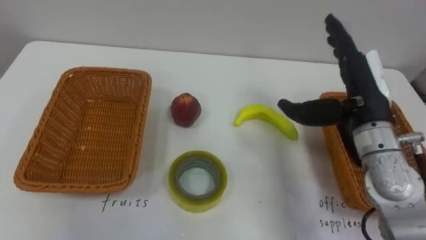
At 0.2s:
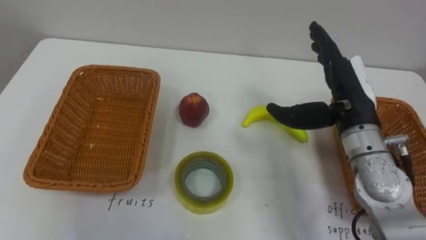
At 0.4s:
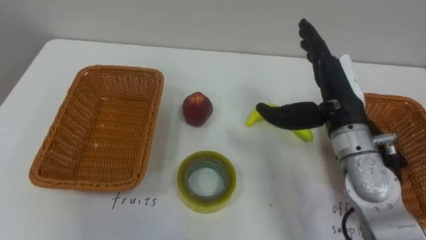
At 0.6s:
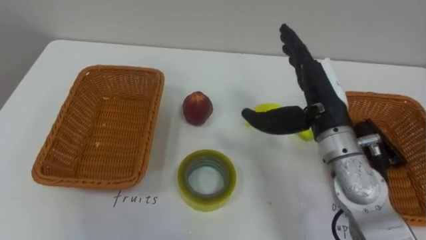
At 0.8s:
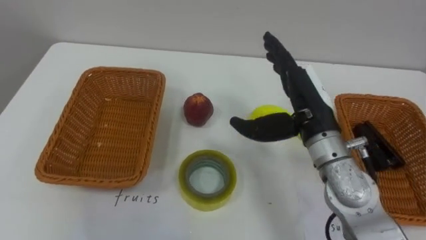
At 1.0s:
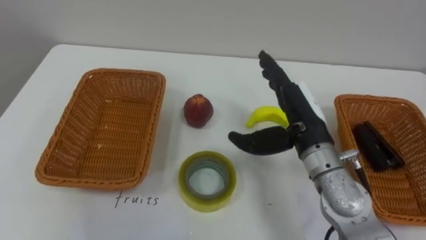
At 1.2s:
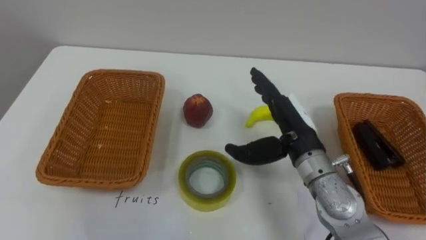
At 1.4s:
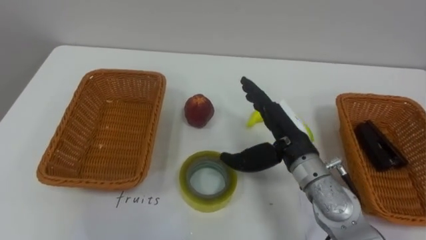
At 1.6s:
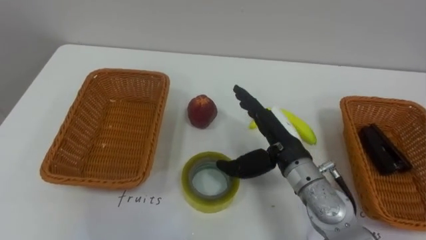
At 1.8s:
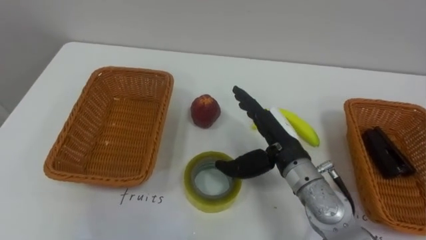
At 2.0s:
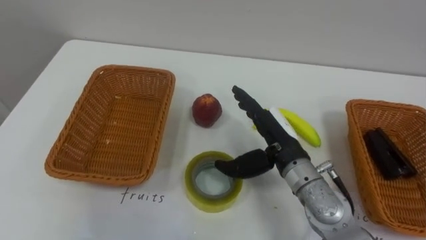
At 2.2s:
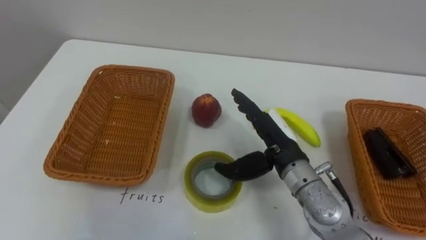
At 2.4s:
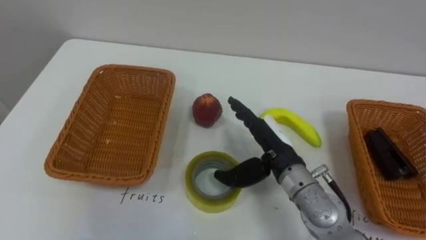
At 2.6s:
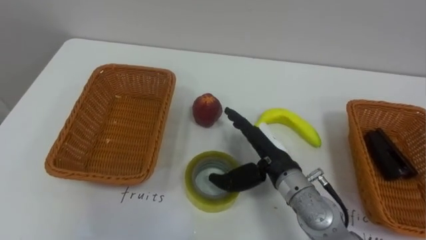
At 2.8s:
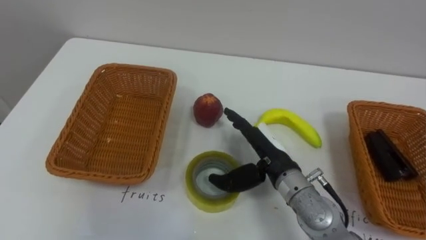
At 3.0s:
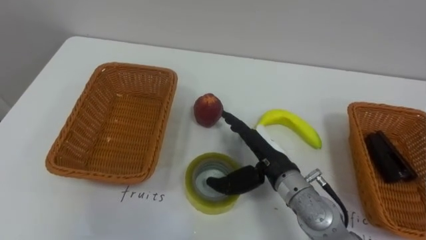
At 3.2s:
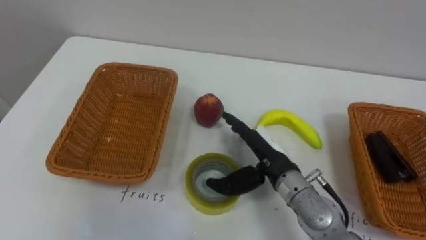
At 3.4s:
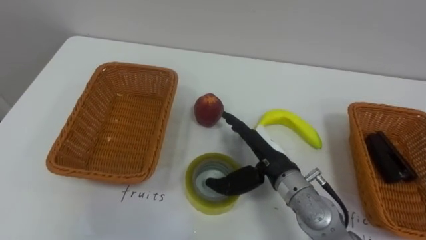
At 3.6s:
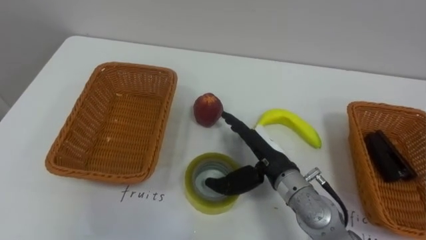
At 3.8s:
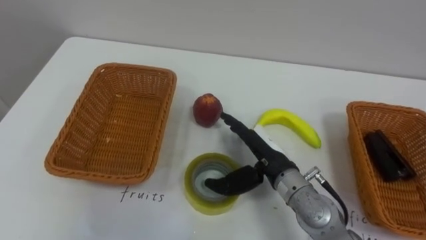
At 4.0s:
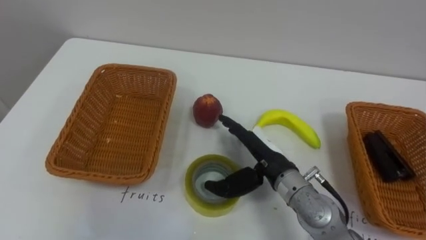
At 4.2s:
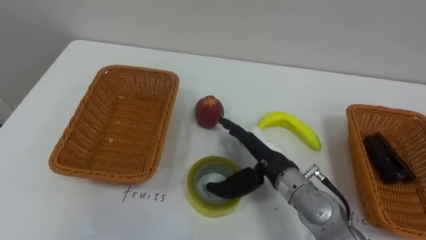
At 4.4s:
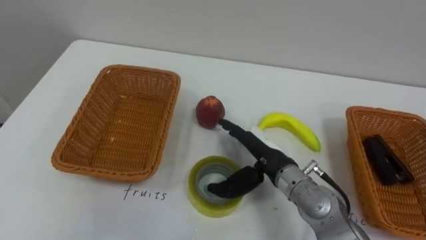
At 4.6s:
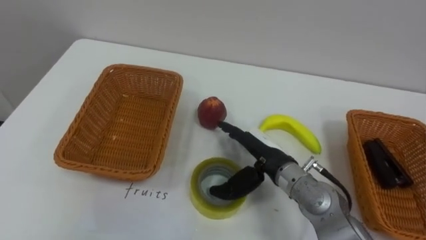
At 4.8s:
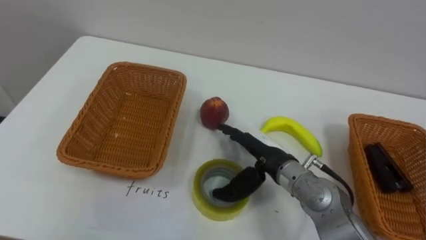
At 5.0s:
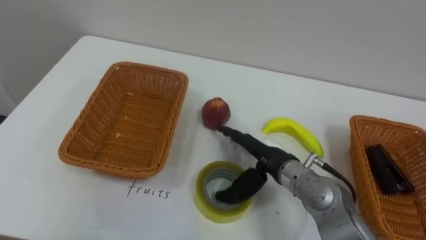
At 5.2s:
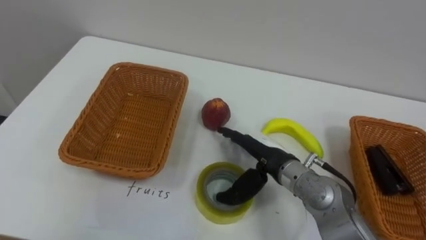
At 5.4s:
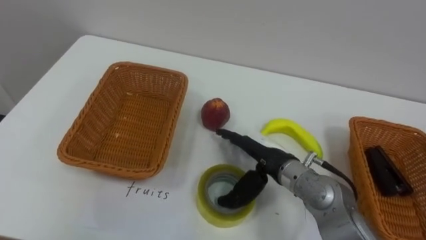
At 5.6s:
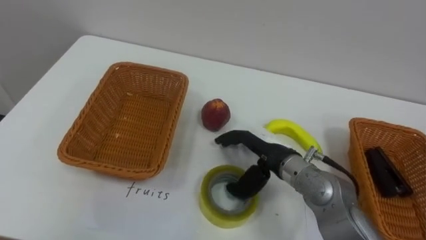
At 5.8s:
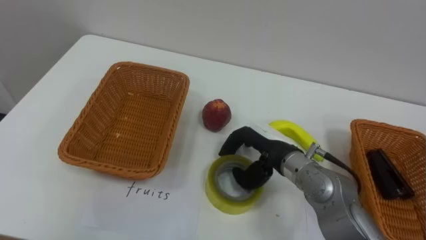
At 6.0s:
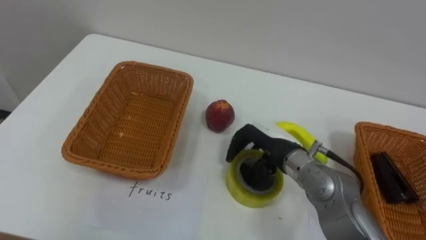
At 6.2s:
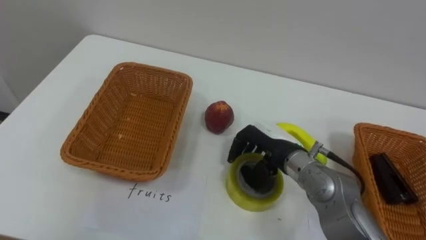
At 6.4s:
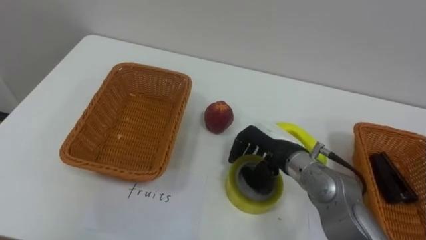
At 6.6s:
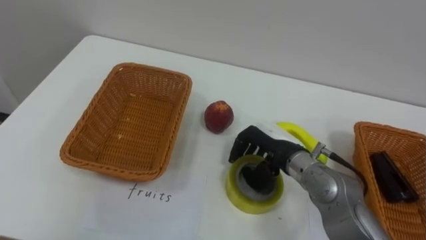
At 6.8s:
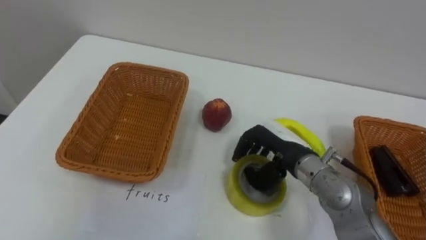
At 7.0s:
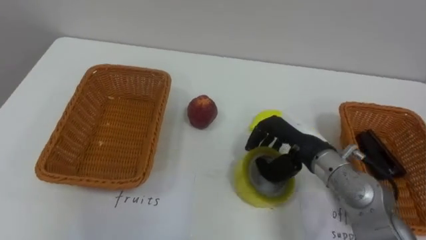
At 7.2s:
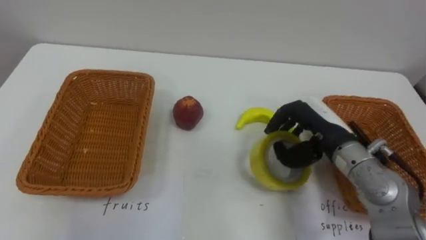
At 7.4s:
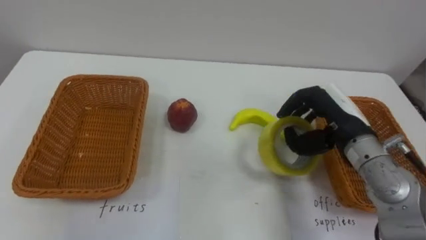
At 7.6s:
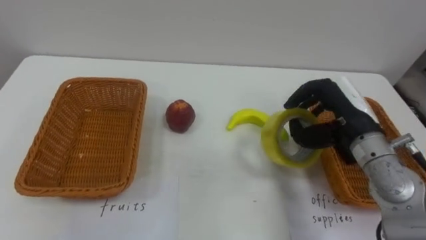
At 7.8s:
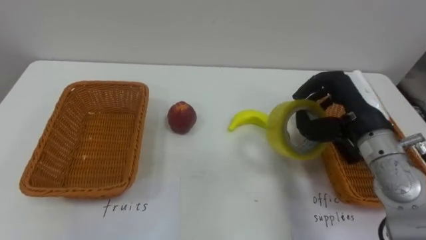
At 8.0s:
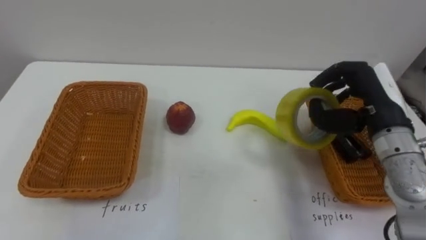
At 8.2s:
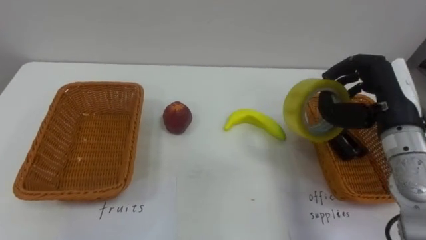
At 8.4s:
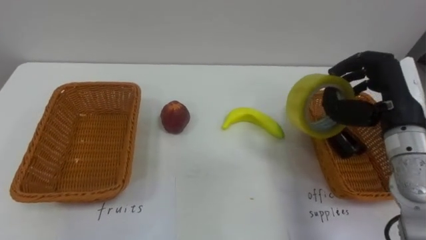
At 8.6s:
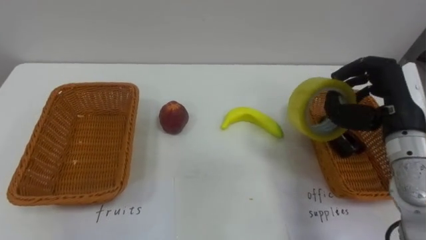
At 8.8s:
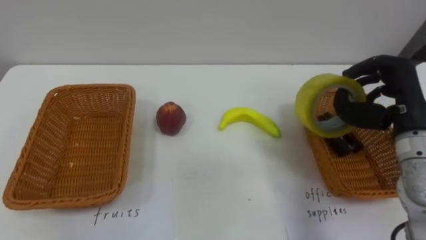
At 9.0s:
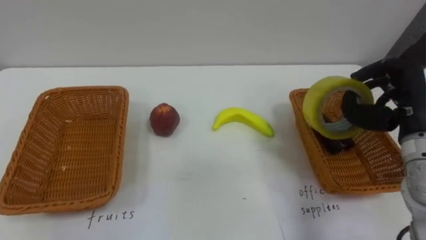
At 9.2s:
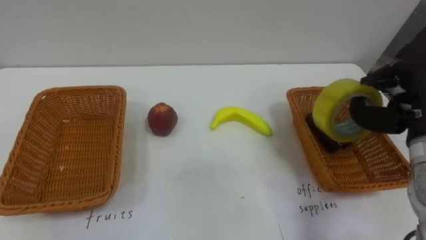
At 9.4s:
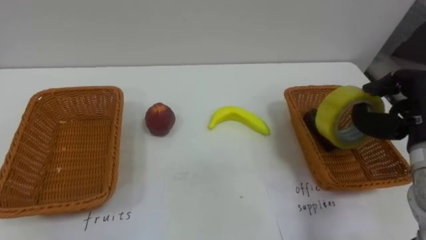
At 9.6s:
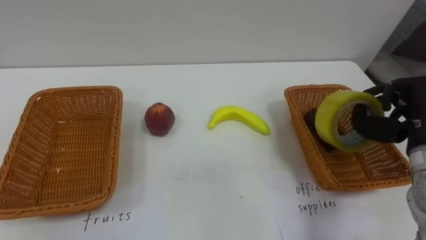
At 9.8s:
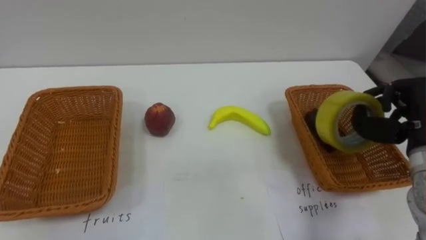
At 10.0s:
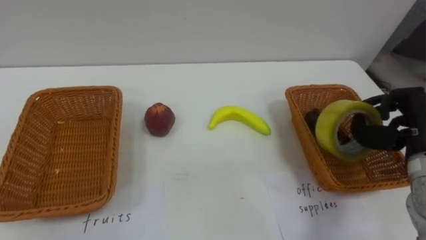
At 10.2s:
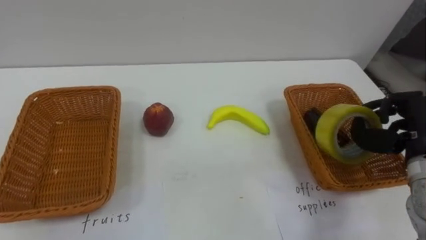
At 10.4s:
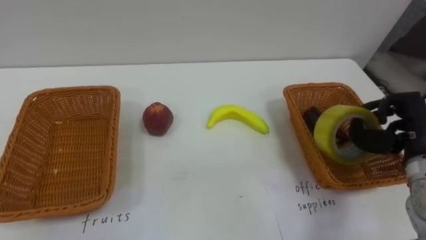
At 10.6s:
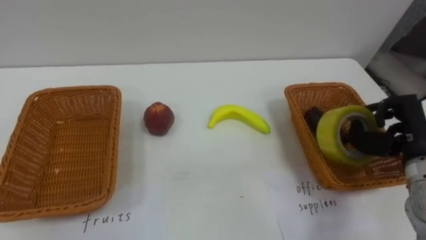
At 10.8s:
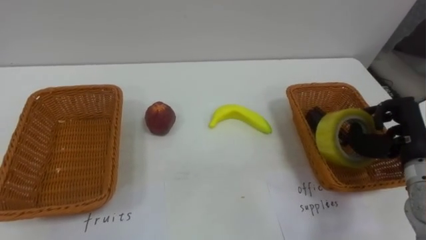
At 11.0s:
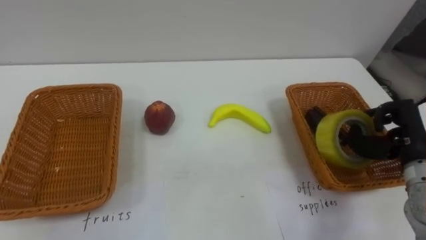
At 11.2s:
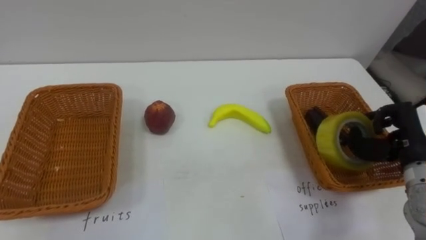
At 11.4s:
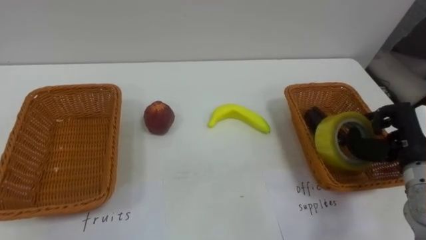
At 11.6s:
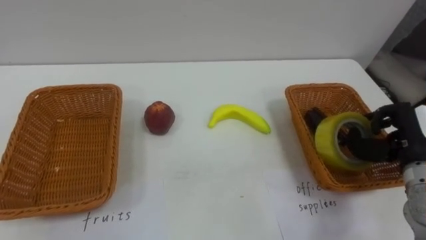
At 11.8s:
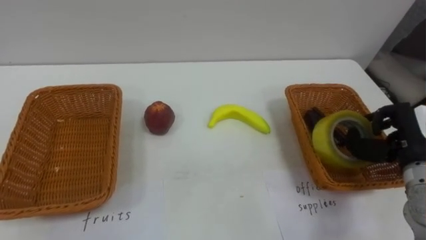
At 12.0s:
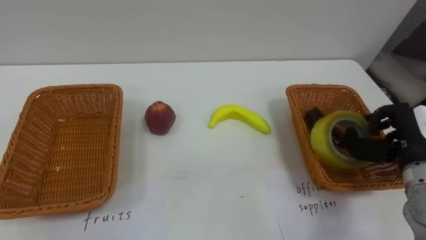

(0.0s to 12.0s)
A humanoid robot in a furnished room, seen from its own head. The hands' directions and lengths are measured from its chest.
Task of the whole recording: Separate the items on the table and place them into the two baskets.
0.0s - 1.6s: The right hand heads to the left and downward, covering roughly 15 cm.
4.4s - 6.0s: The right hand closes up.
6.0s - 7.6s: The right hand heads to the right and upward, covering some 15 cm.
7.6s - 9.0s: The right hand travels to the right by about 10 cm.
9.0s - 10.4s: The right hand ends up about 5 cm from where it was.

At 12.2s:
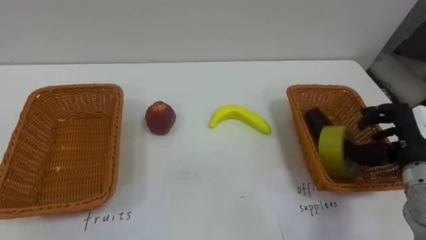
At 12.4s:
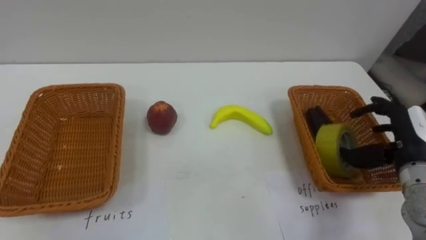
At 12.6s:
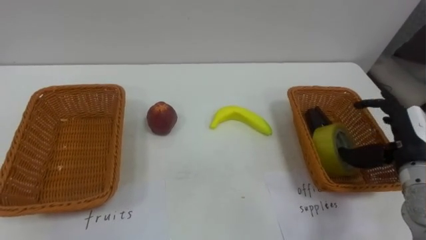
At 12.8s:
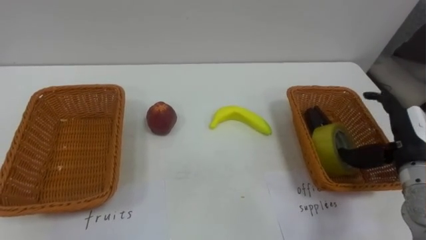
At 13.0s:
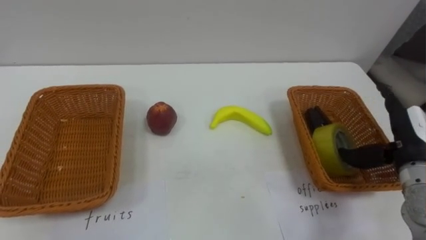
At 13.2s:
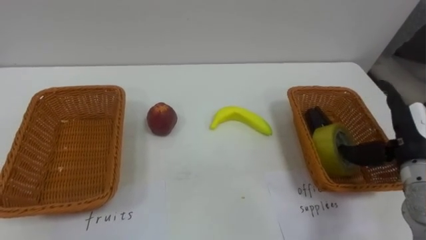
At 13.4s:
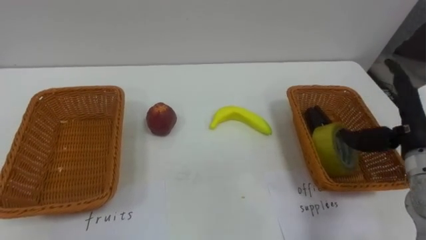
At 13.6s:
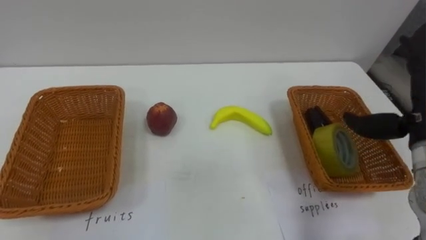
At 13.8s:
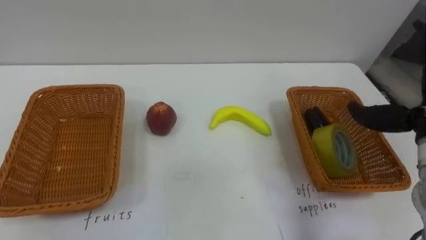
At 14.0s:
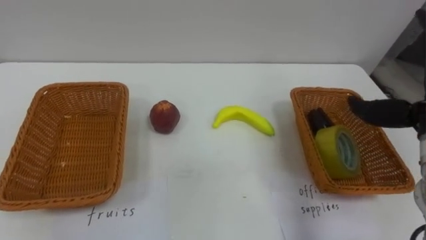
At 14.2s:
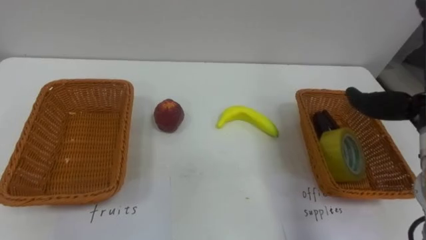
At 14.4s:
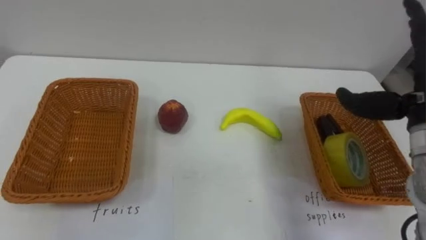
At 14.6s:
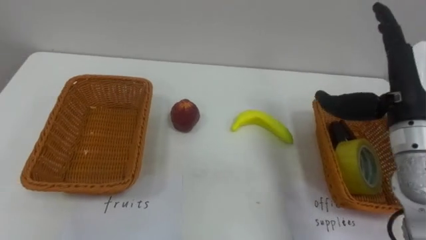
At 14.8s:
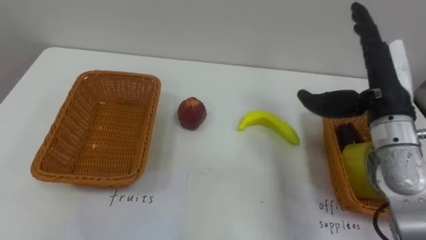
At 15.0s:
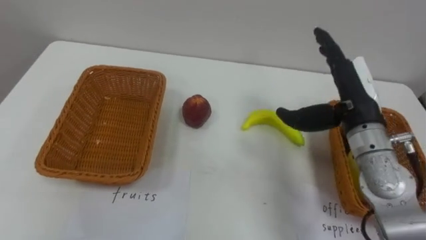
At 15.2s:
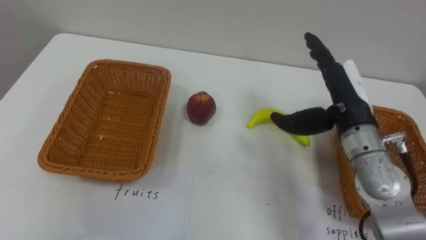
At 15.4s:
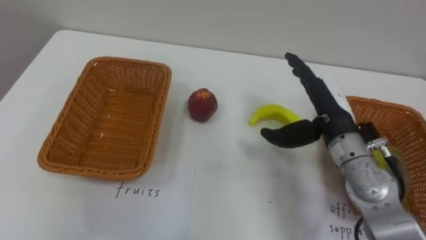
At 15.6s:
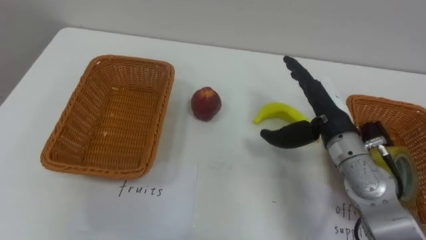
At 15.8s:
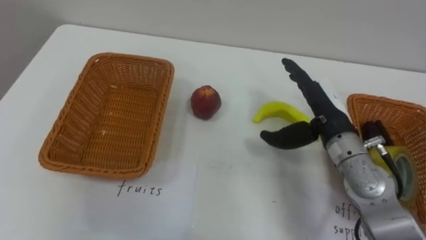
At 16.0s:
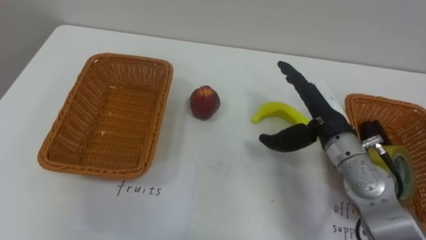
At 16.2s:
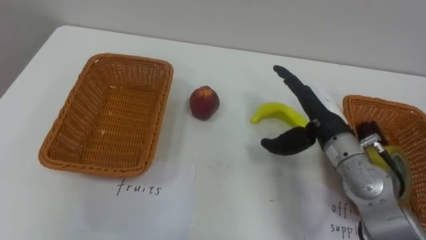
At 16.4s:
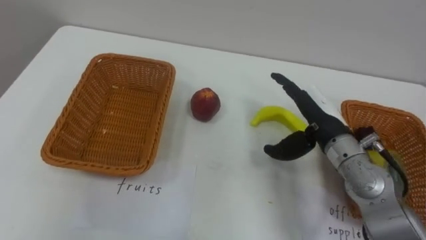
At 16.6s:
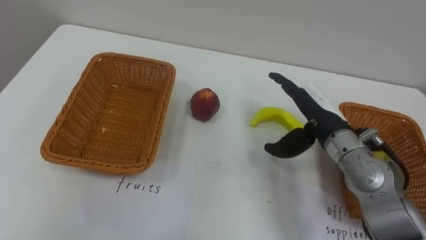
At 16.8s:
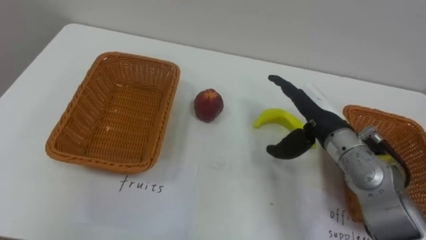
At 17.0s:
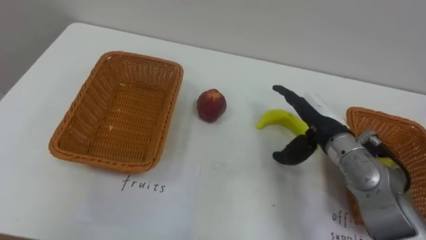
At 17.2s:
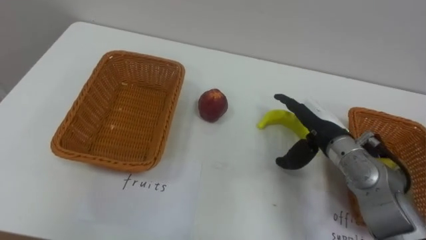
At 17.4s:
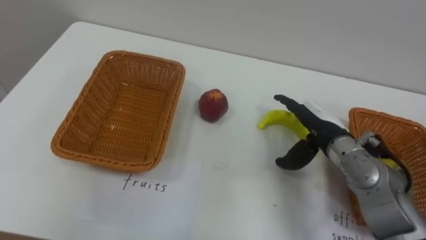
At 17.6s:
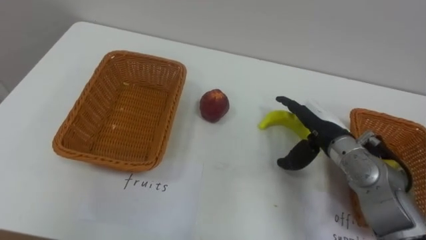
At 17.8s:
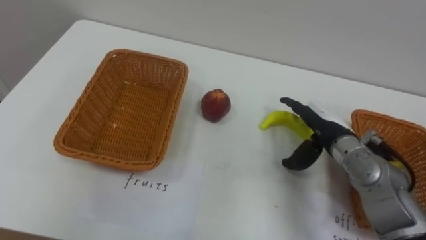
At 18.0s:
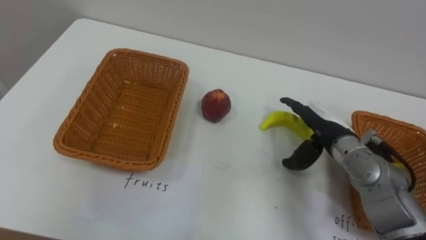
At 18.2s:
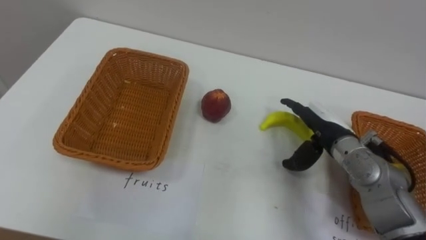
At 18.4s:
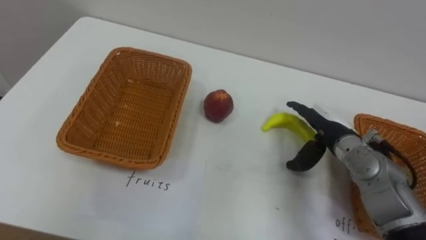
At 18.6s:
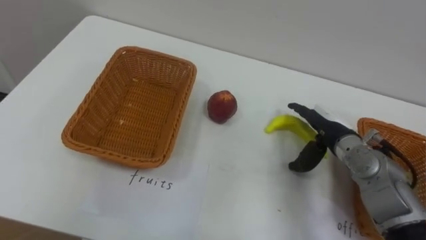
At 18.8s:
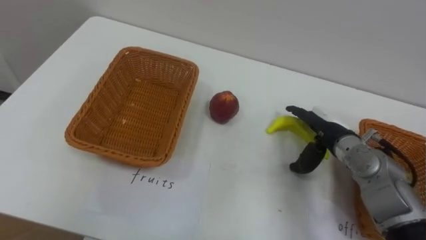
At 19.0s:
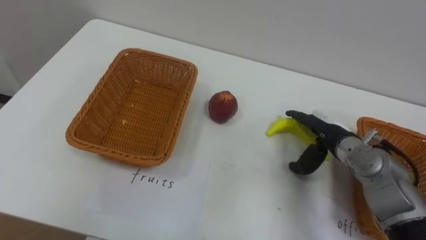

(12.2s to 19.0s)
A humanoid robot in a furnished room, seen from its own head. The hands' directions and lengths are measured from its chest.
Task of the whole recording: Separate the items on the table and place them into the two baskets.
12.2s - 13.6s: The right hand shifts some 5 cm upward, and opens its fingers.
15.0s - 16.2s: The right hand moves approximately 5 cm.
16.2s - 17.6s: The right hand ends up some 5 cm from where it was.
